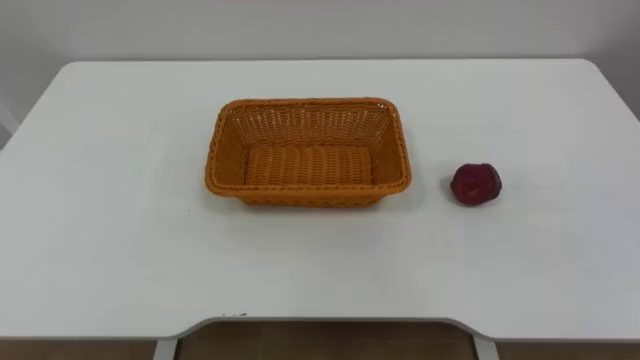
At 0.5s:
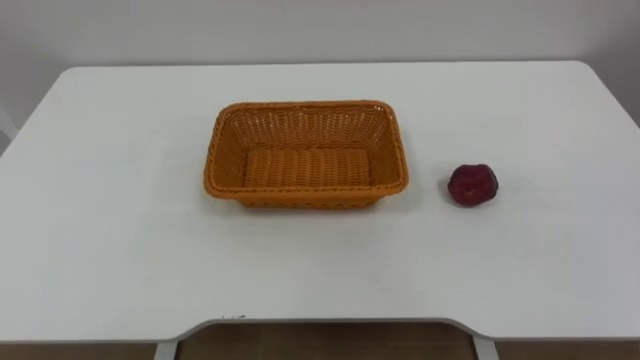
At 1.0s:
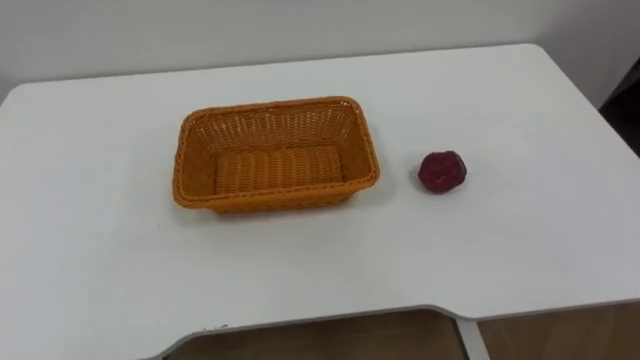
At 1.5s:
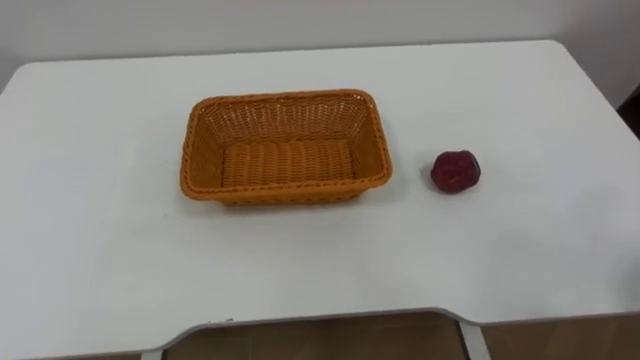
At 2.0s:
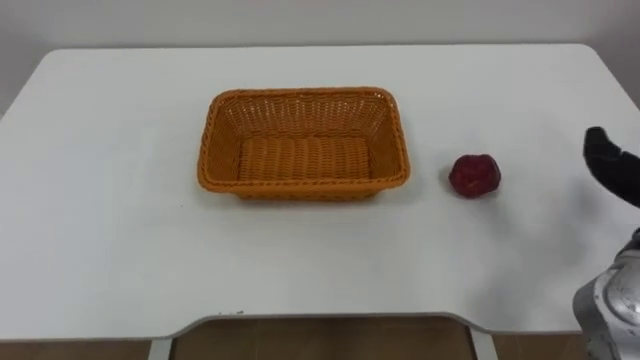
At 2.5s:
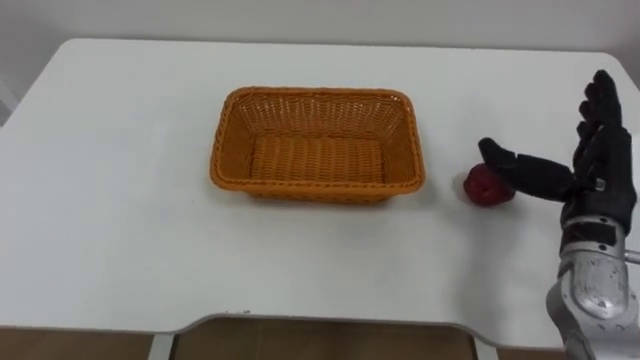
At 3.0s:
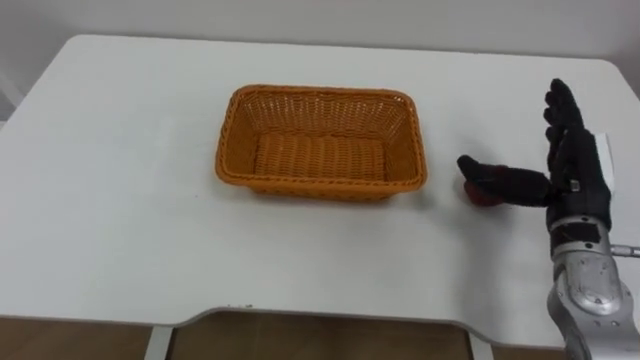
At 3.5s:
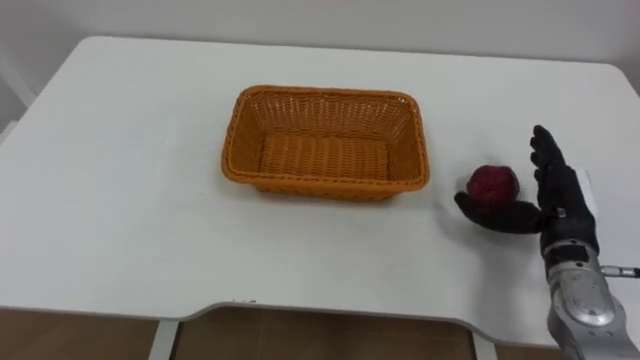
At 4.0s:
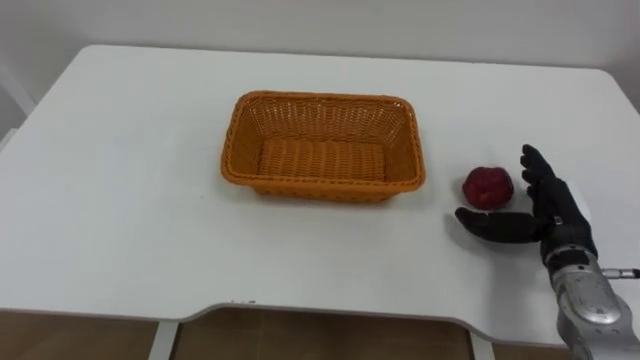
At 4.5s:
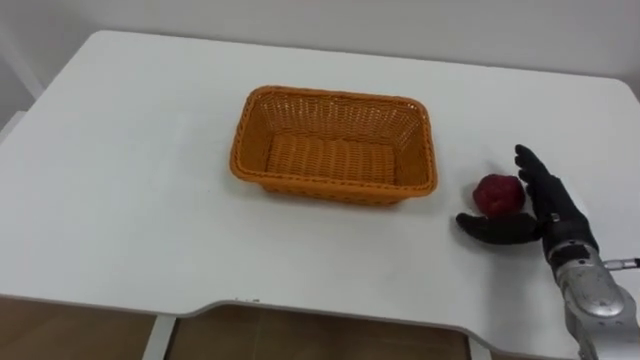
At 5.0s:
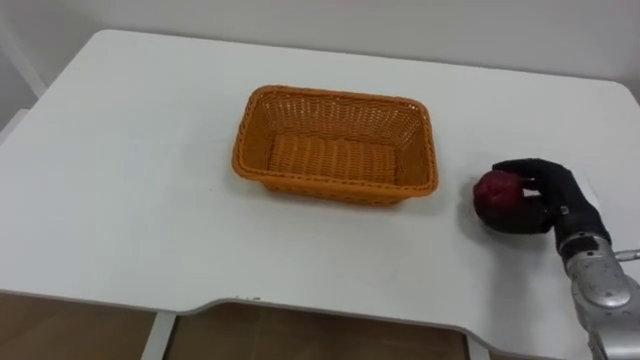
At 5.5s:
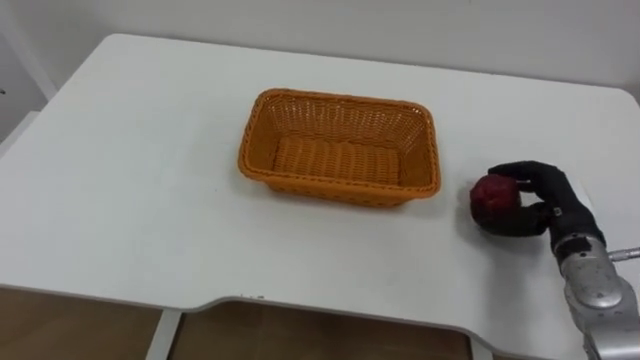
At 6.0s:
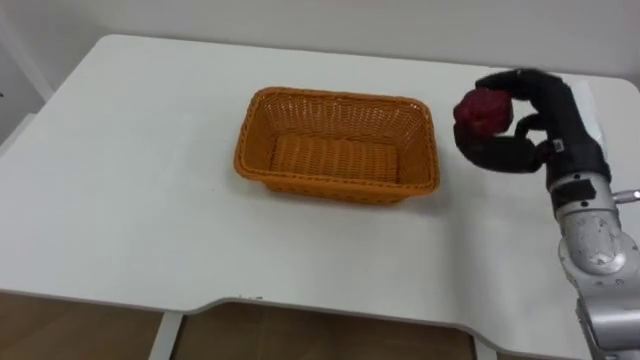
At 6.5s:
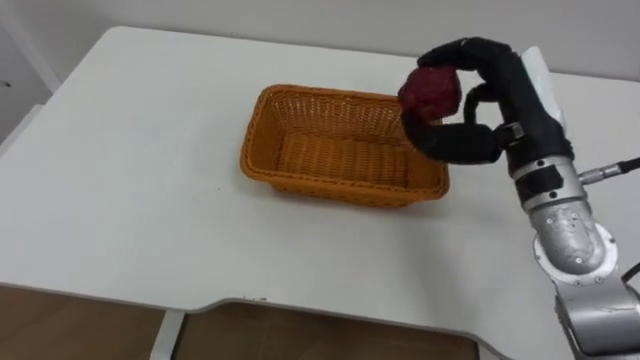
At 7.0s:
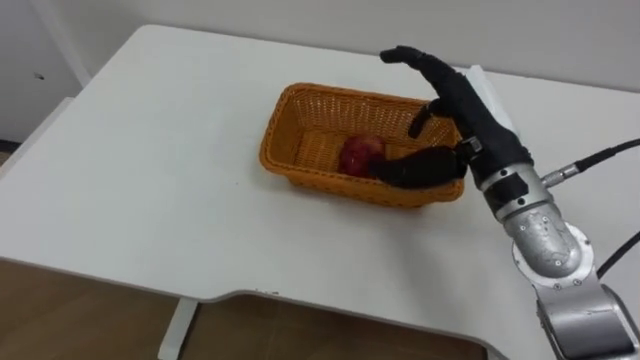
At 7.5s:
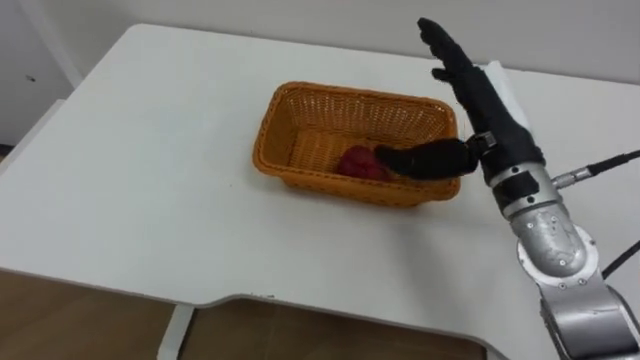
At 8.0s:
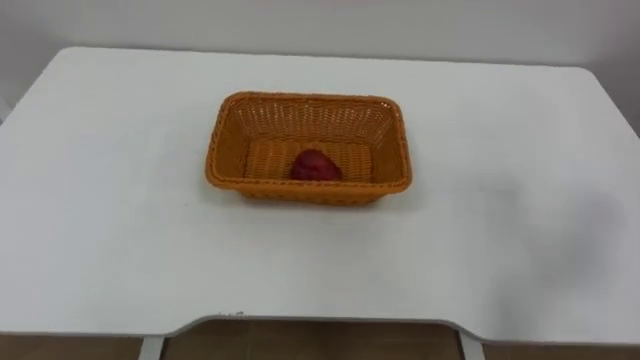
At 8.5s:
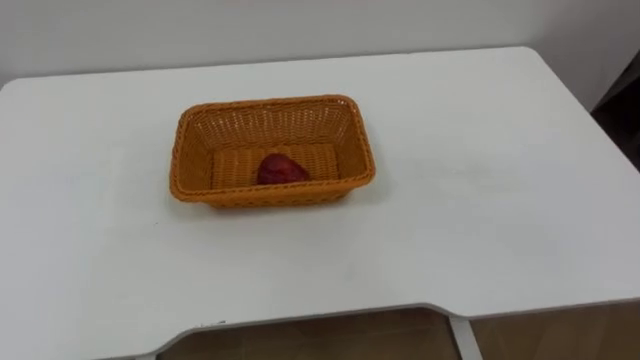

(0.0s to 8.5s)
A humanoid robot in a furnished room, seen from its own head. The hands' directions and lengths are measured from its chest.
Task of the whole recording: Pick the apple and place it in the box.
4.0s - 6.5s: The right hand moves upward and to the left, roughly 20 cm, and closes.

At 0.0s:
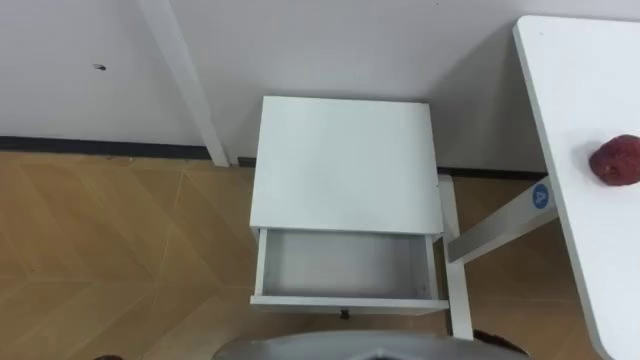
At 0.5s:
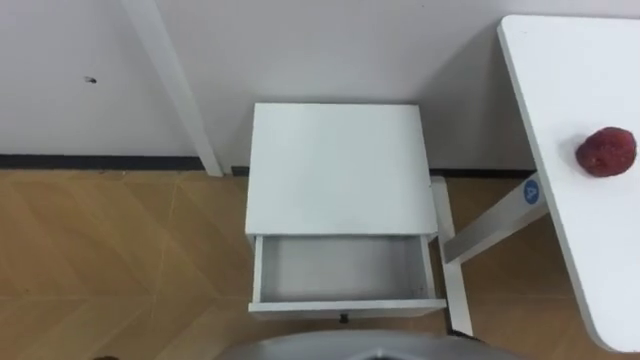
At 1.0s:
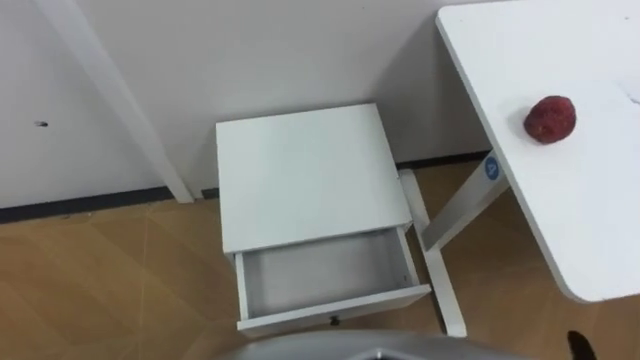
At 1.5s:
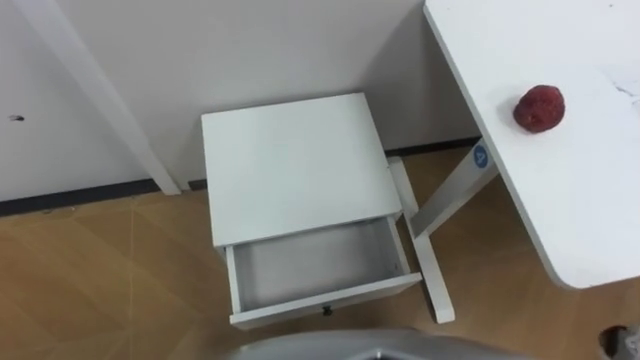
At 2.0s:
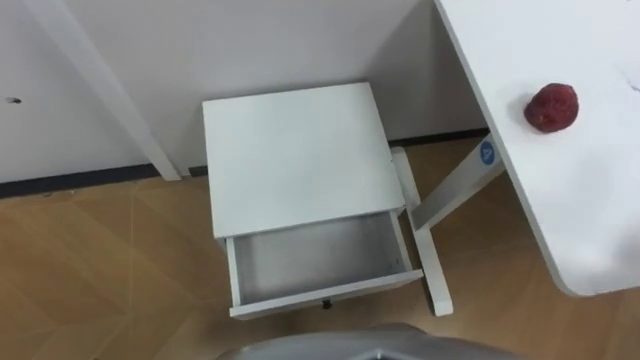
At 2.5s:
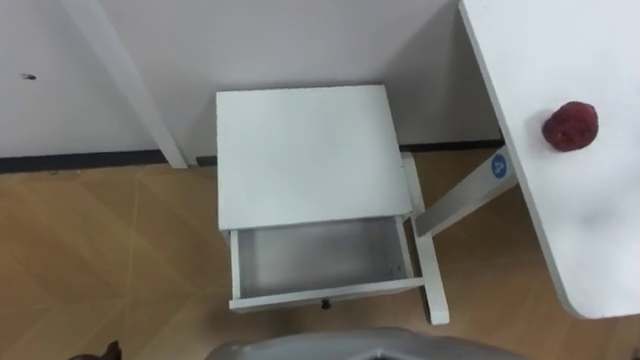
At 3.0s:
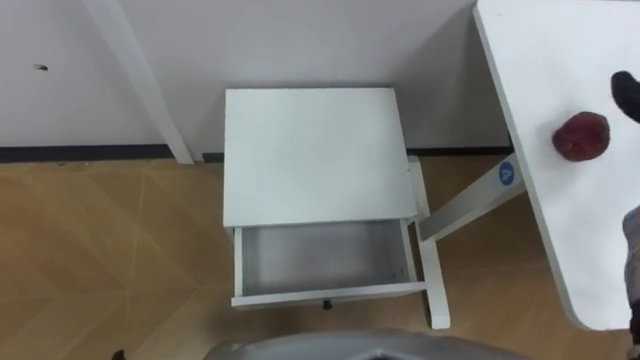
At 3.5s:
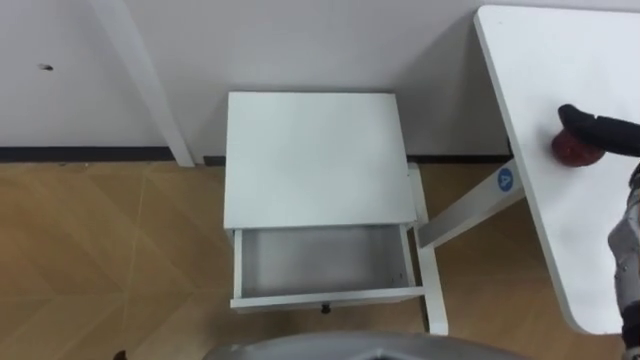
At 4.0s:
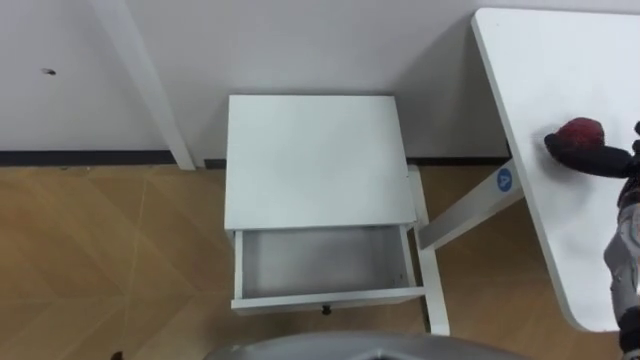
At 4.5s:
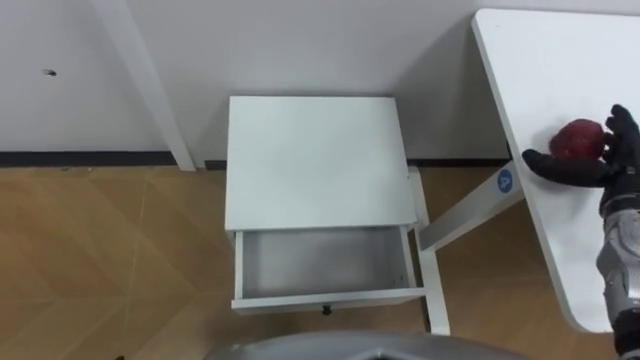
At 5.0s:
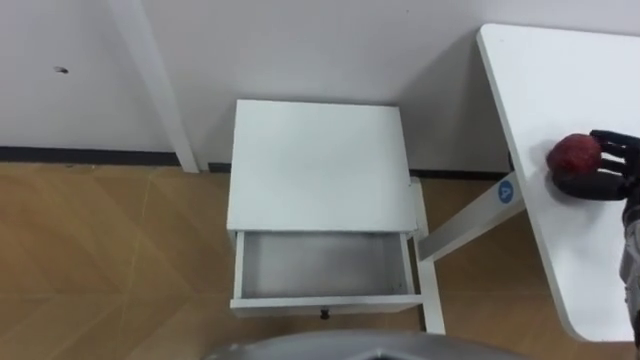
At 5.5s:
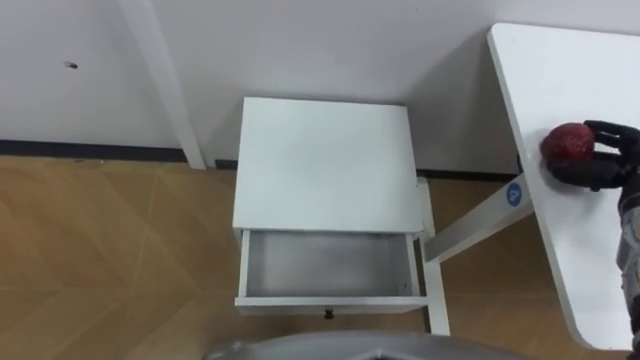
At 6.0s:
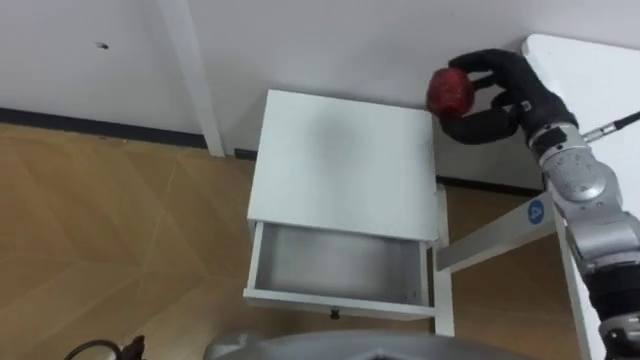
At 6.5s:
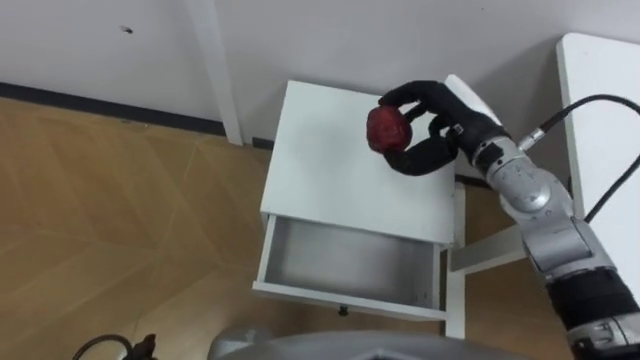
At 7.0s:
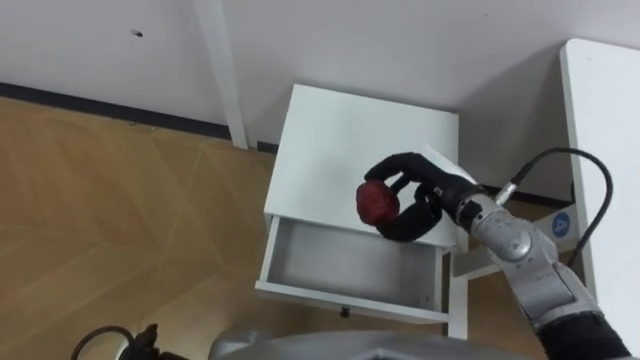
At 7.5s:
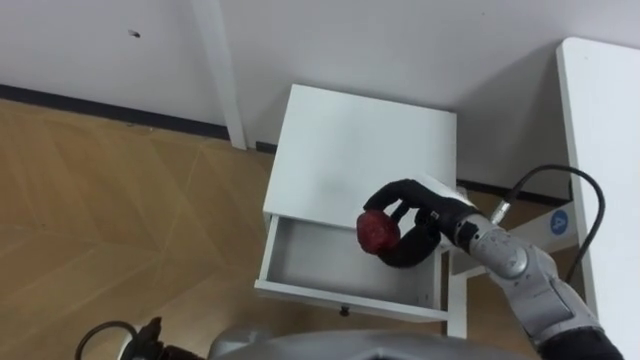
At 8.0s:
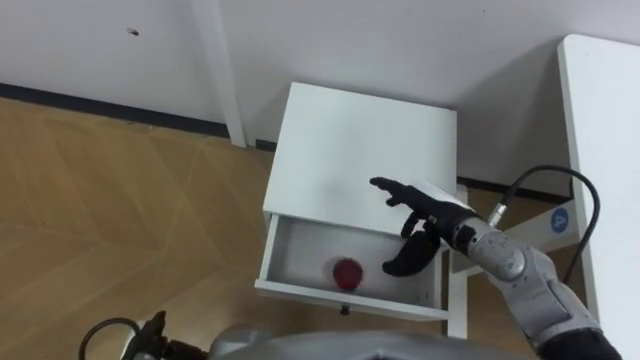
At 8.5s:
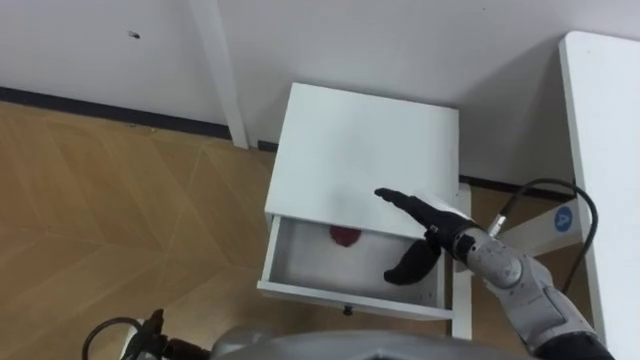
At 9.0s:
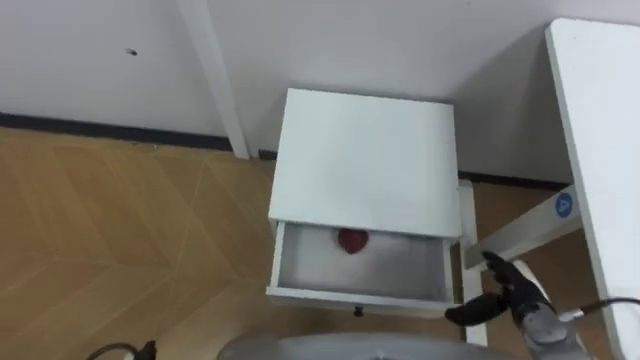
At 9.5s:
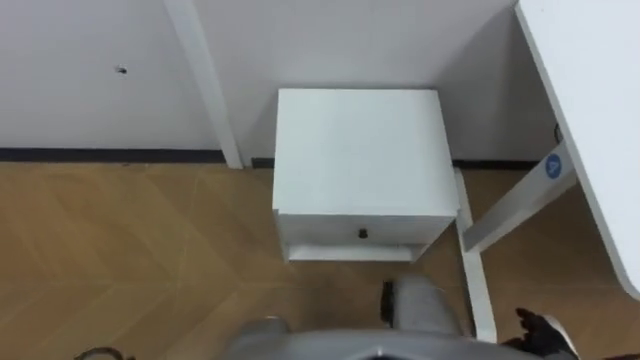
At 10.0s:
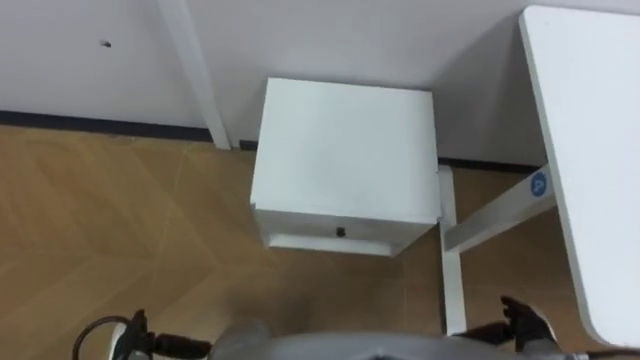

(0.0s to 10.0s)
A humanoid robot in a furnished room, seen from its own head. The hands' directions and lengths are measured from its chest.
Task of the whole recording: Pick up the apple from the table, put it in the drawer, and close the drawer with leg.
6.0s - 8.0s: The right hand heads downward, to the left and backward, covering about 20 cm, and opens up.
8.0s - 10.0s: The right hand travels backward, to the right and downward by some 25 cm.
